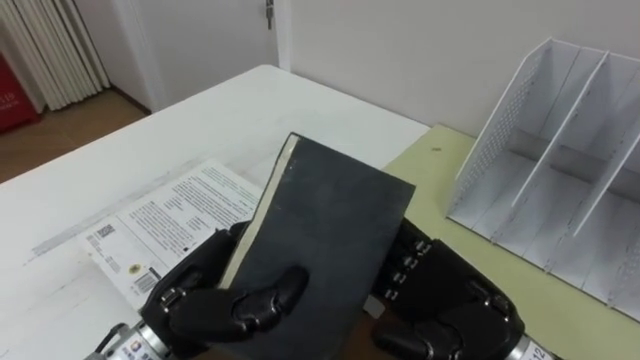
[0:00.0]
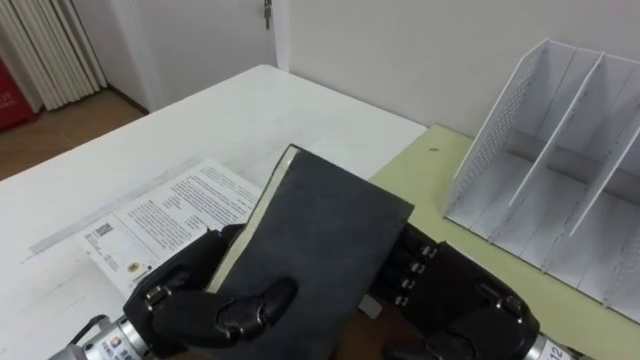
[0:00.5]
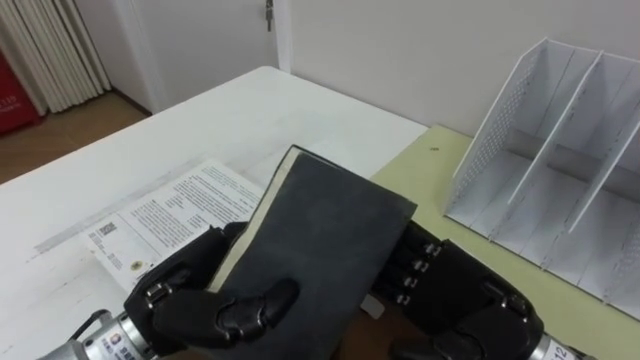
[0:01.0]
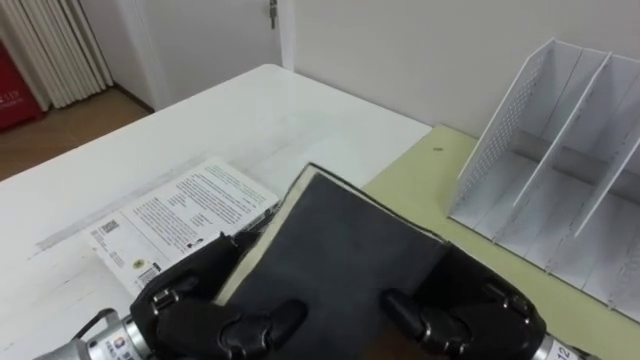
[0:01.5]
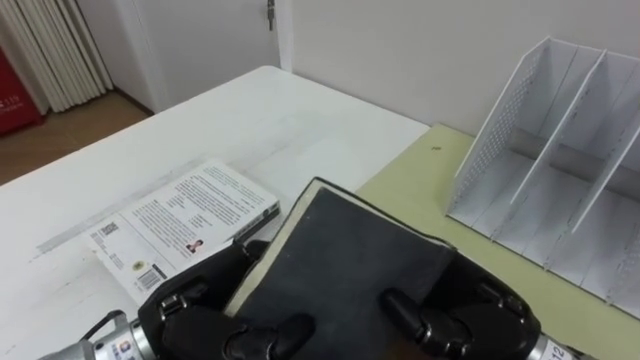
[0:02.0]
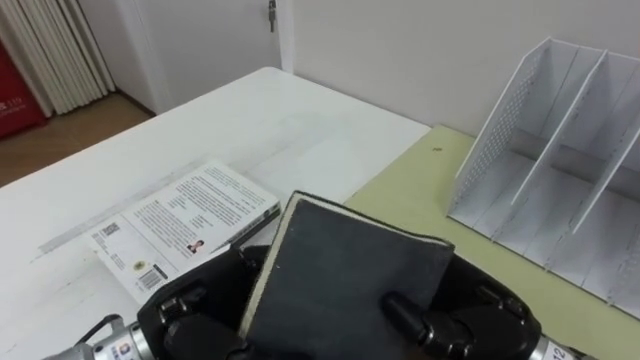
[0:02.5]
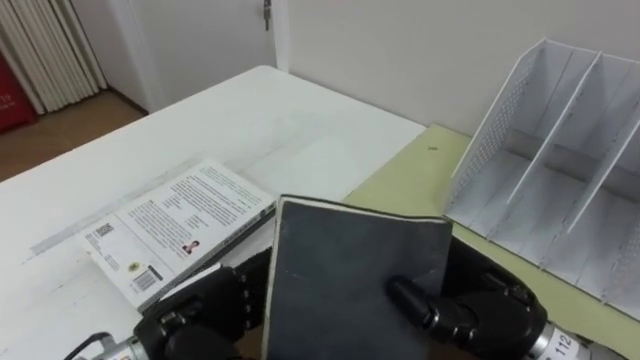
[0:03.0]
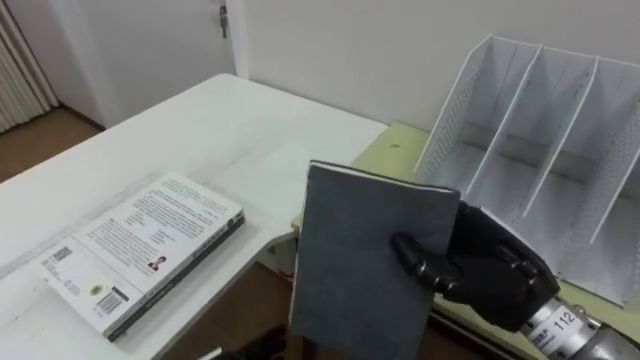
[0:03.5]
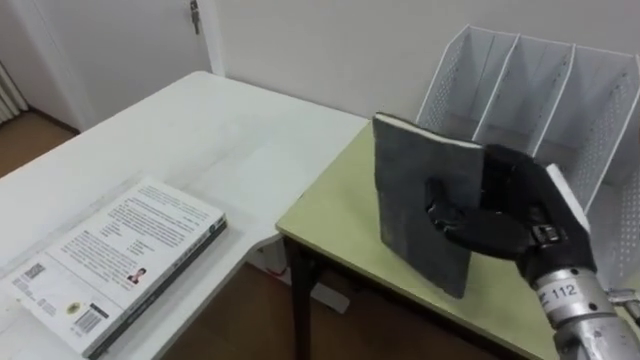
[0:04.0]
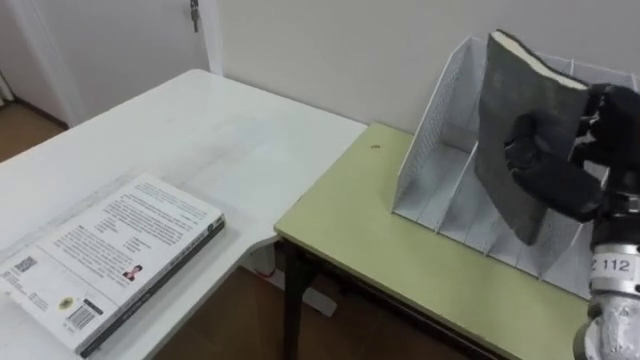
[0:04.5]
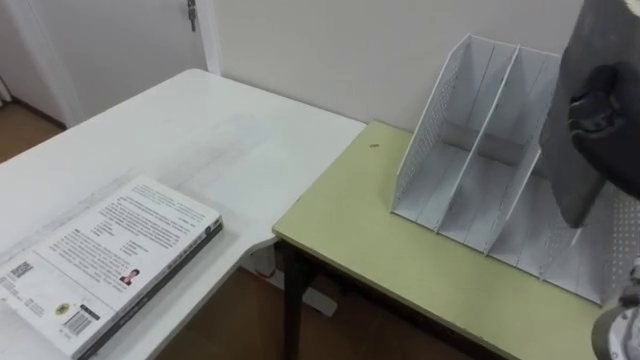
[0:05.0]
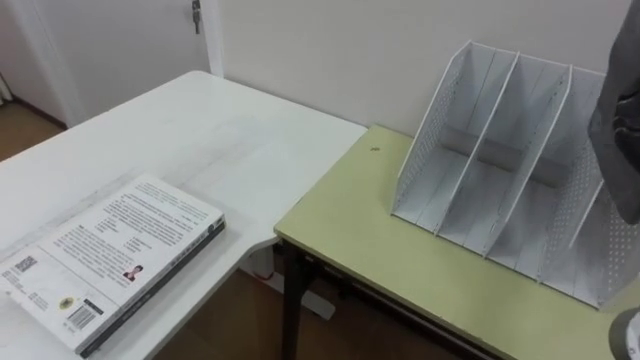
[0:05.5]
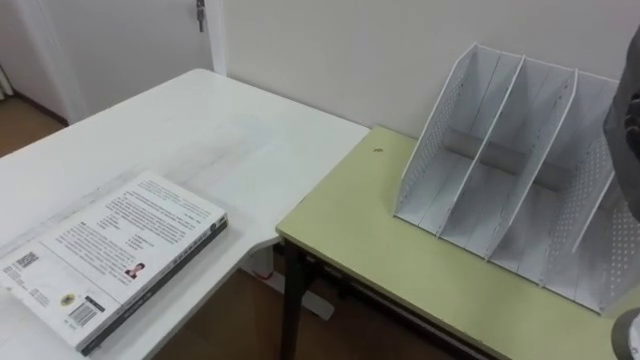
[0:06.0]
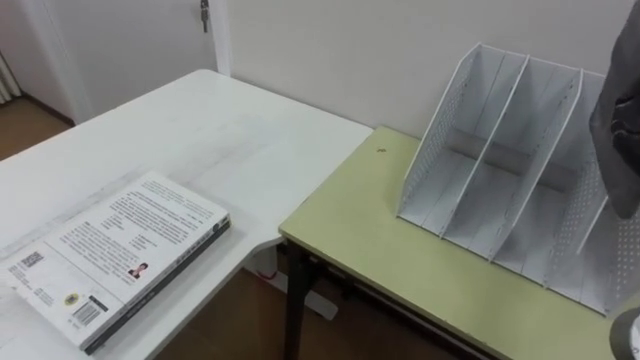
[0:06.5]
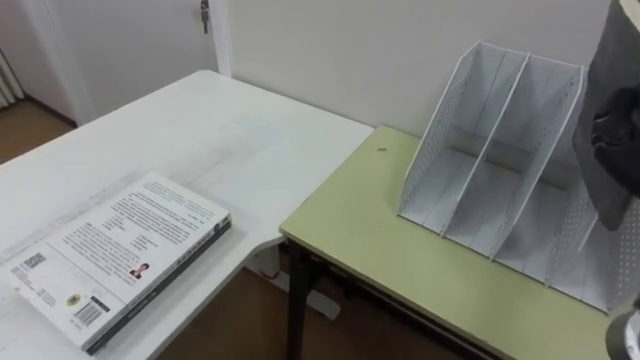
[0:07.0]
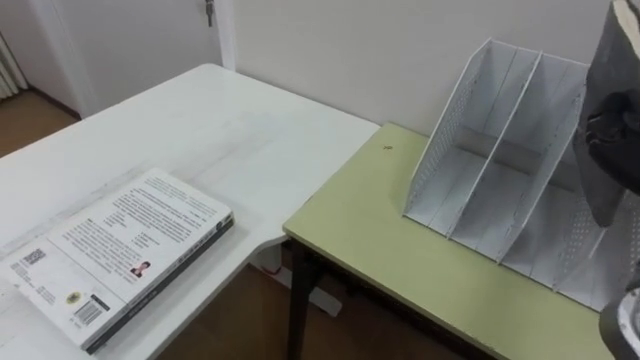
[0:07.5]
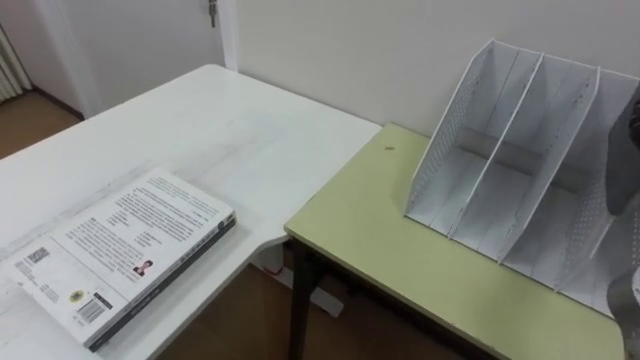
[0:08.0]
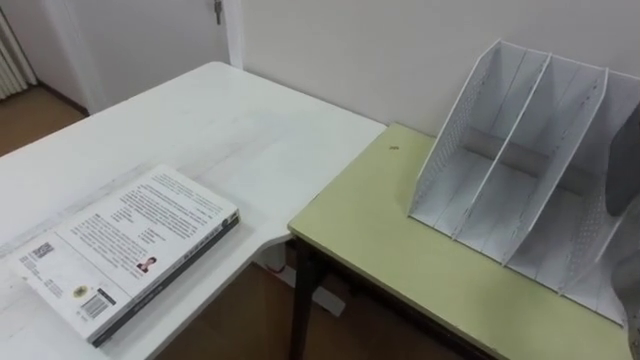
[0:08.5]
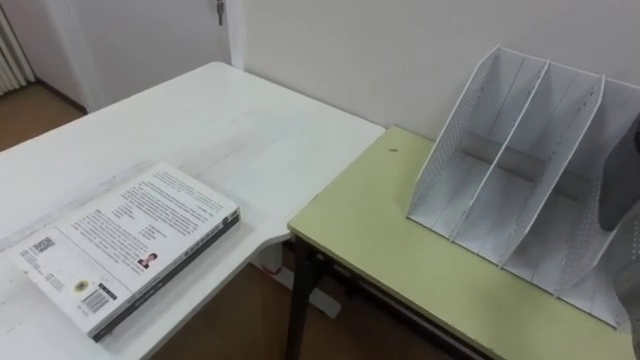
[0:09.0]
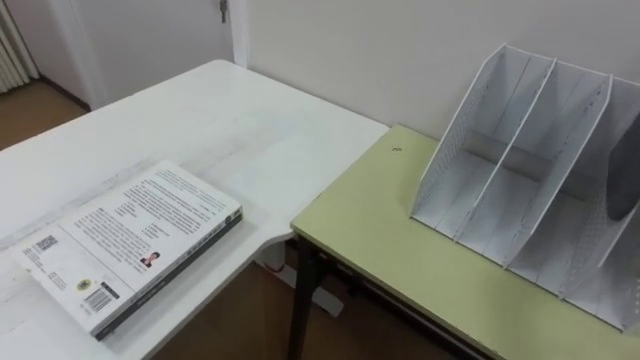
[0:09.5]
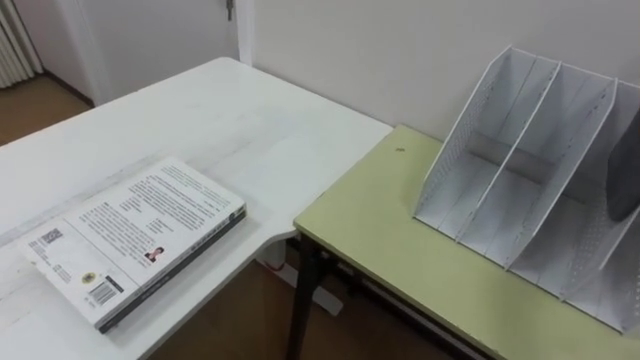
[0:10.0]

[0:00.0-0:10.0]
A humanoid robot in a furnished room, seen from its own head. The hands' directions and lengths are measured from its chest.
Task of the whole recording: Put the books on the table onto the bookshelf.
0:00.0 to 0:02.0: The right hand closes.
0:02.0 to 0:04.0: The right hand goes about 10 cm to the right and forward.

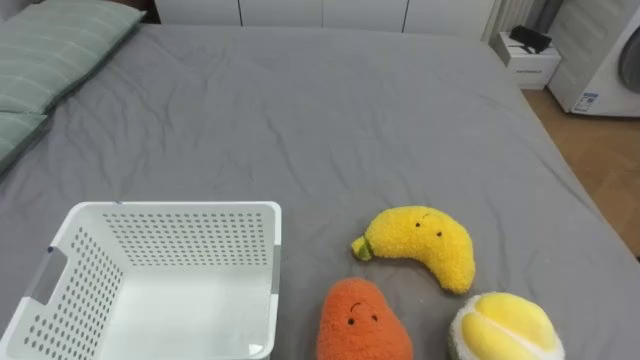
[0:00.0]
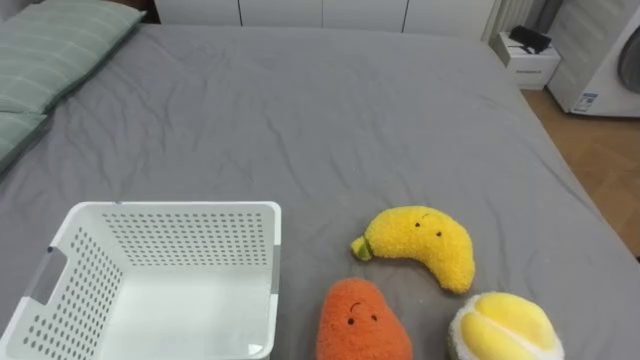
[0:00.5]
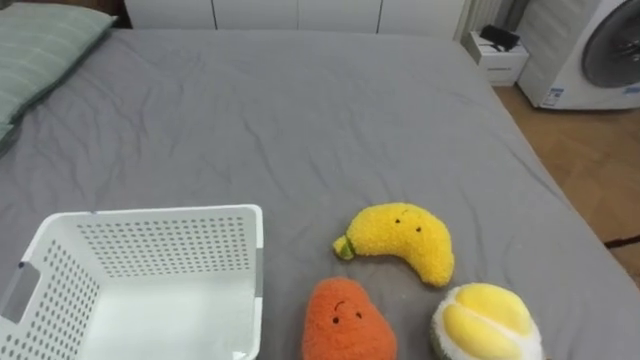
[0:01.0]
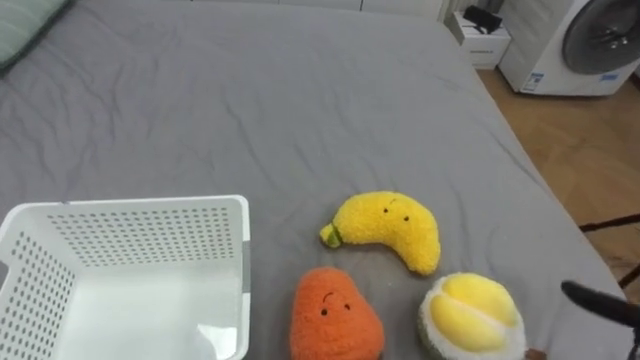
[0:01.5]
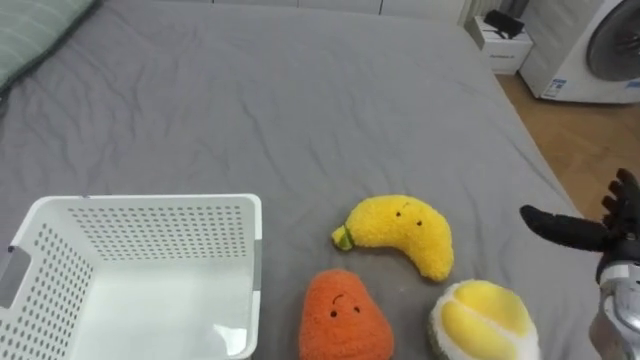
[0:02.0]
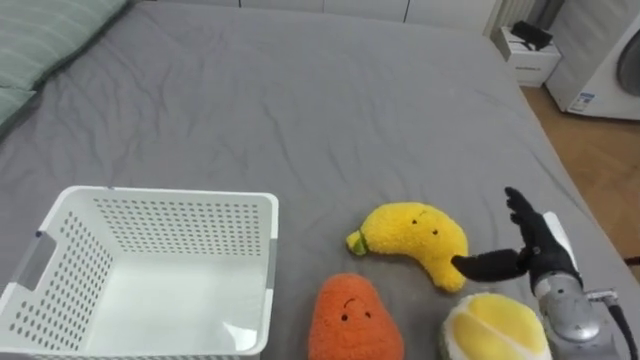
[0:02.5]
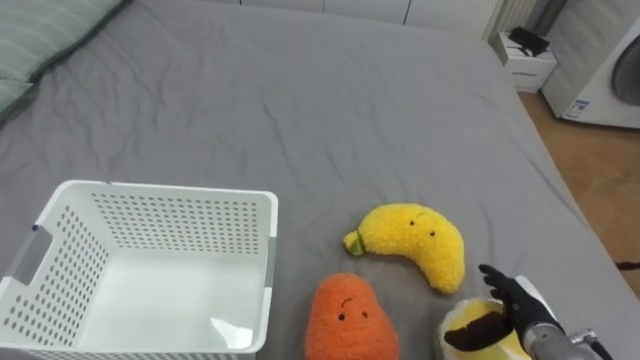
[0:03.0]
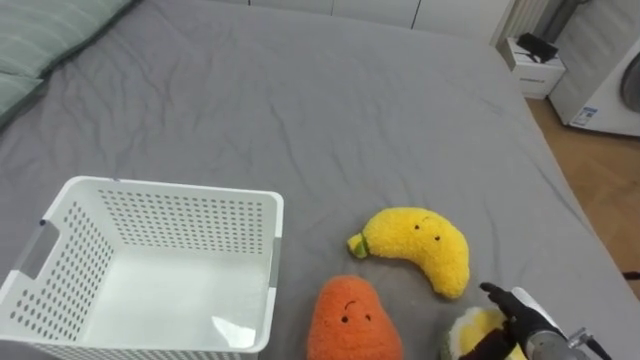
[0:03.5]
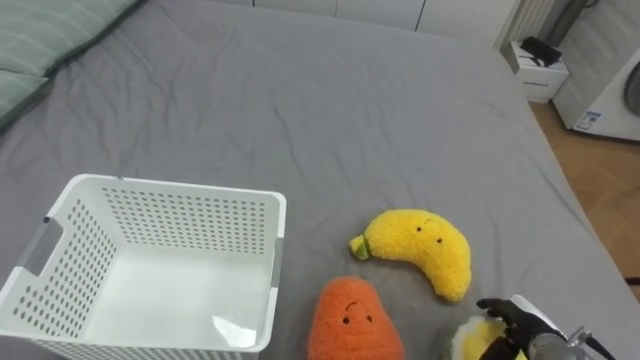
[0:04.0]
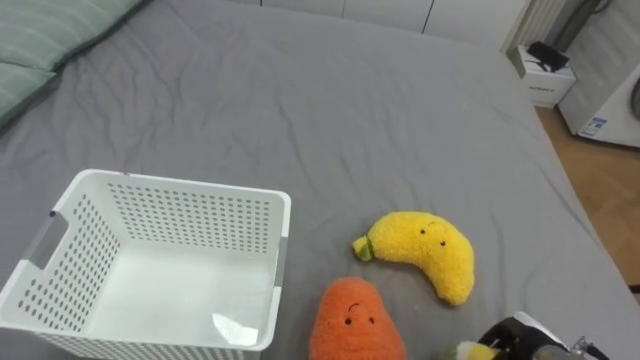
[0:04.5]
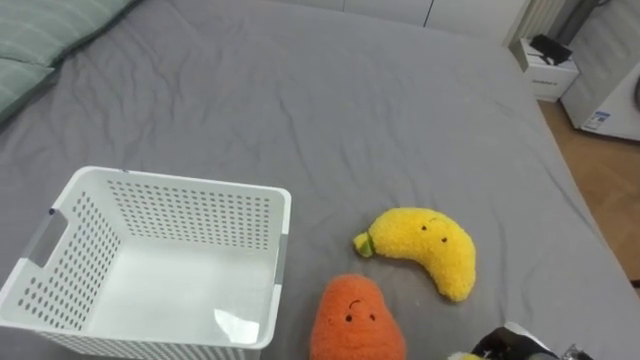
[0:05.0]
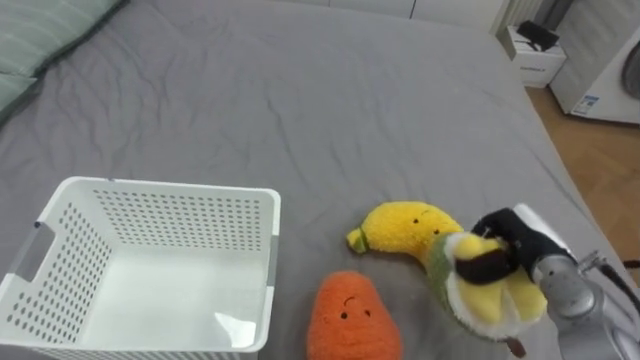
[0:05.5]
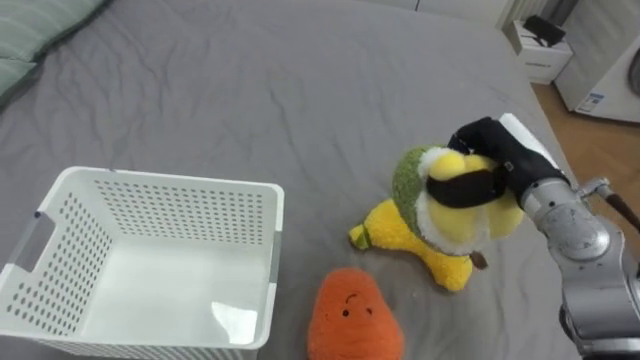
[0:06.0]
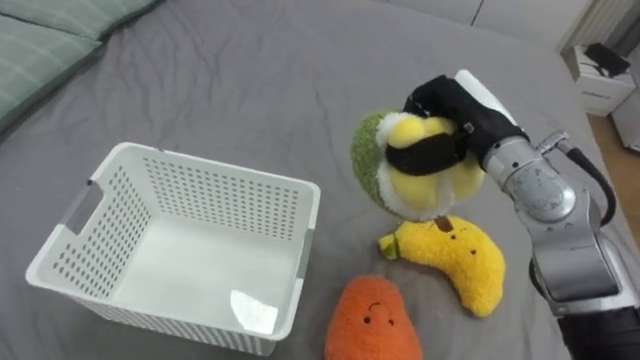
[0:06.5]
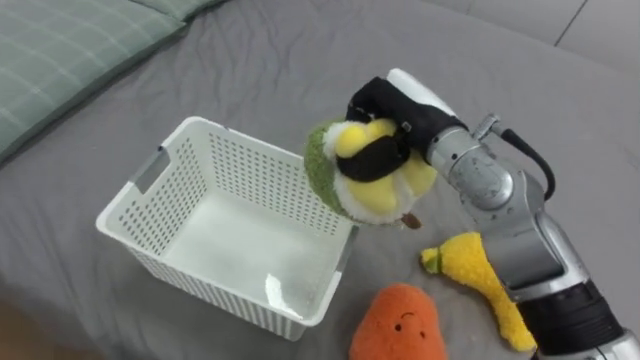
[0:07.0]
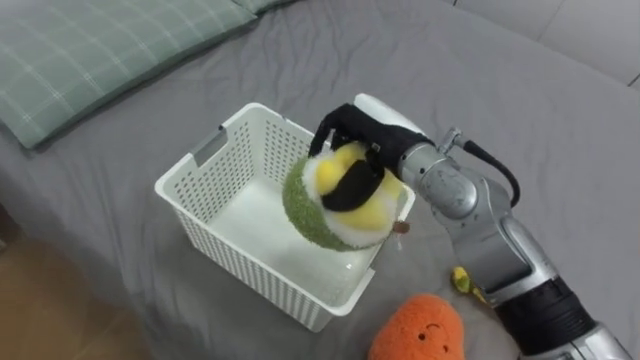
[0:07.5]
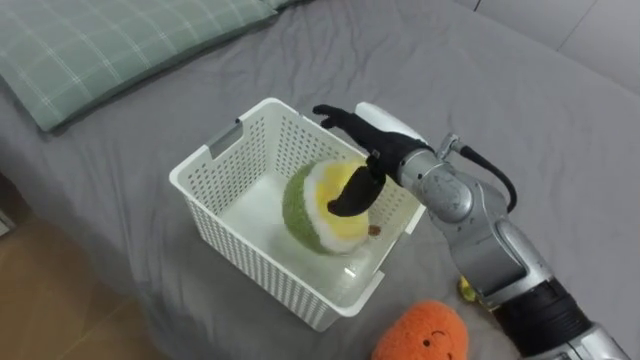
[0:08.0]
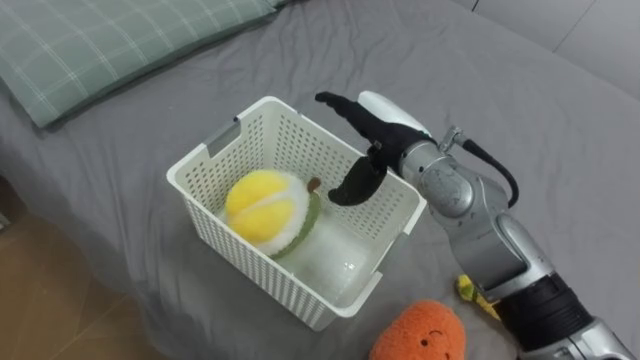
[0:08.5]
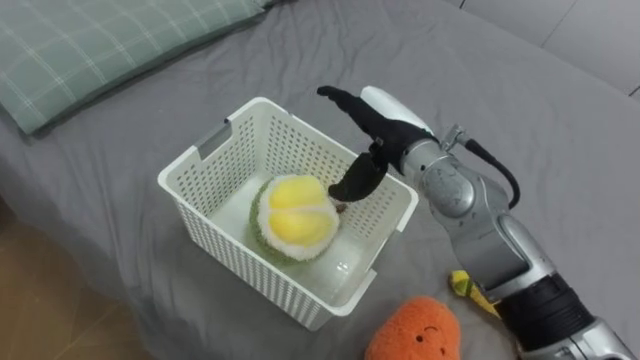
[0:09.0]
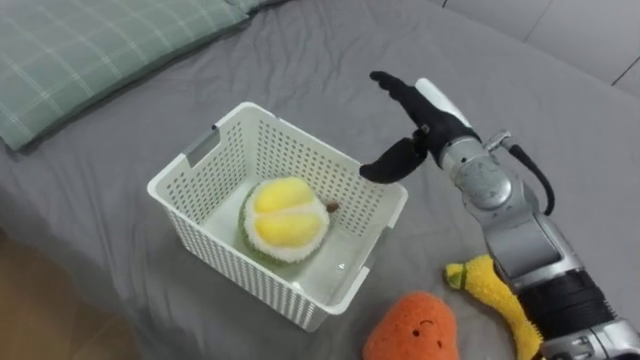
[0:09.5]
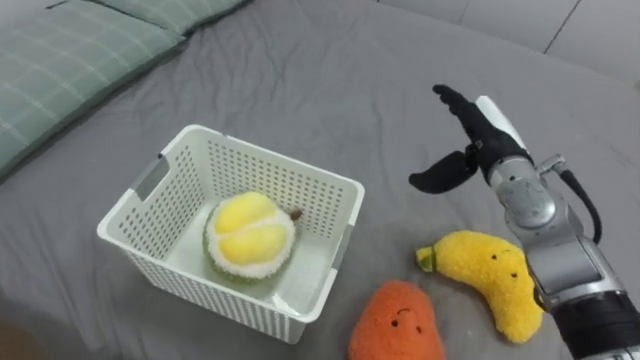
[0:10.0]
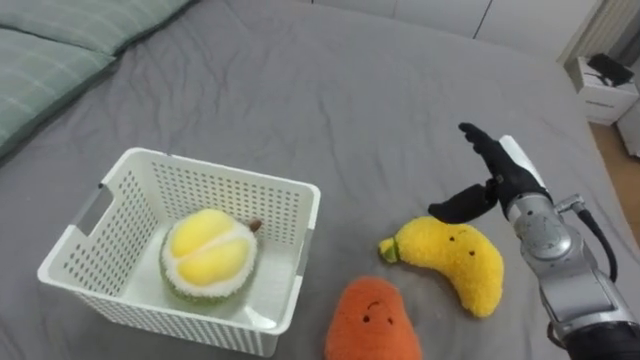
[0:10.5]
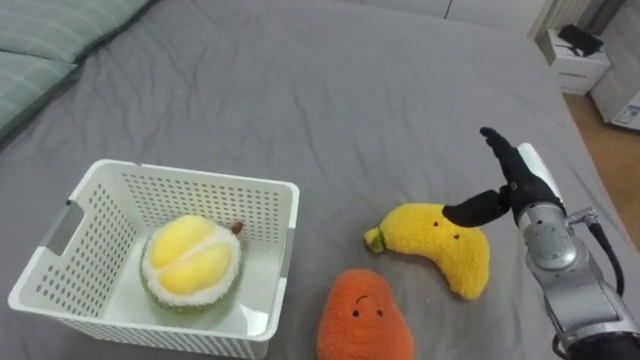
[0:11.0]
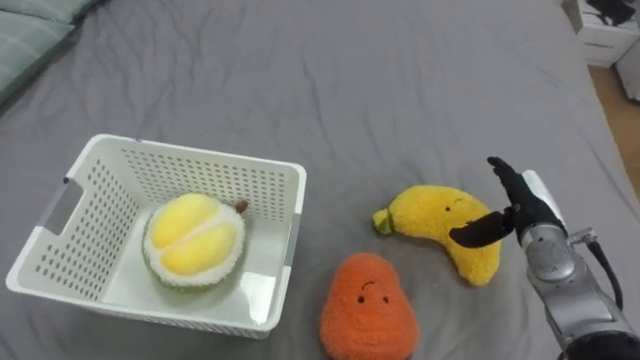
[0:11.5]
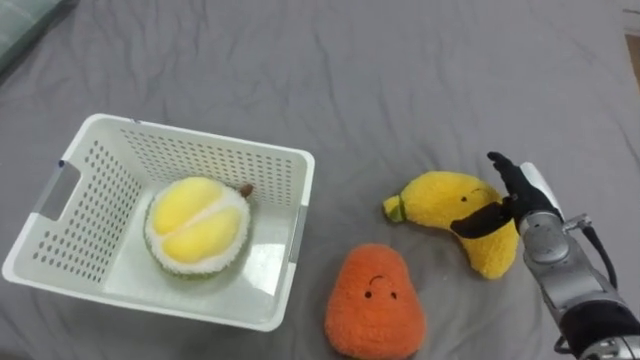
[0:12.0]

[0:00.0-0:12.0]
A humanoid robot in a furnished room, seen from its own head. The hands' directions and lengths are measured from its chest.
Task of the whole recording: Put the toys on the bed into the basket on the left.
0:02.0 to 0:04.0: The right hand moves downward, to the left and backward, about 15 cm.
0:04.0 to 0:06.0: The right hand goes some 25 cm upward and forward, and closes up.
0:06.0 to 0:08.0: The right hand is displaced to the left by roughly 15 cm, and opens up.
0:08.0 to 0:10.0: The right hand is displaced to the right by roughly 15 cm.
0:10.0 to 0:12.0: The right hand shifts approximately 10 cm downward and to the right.
